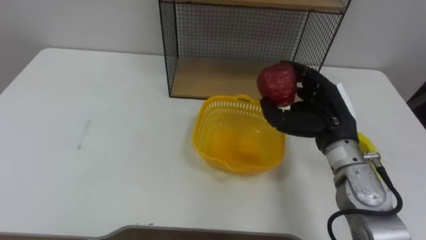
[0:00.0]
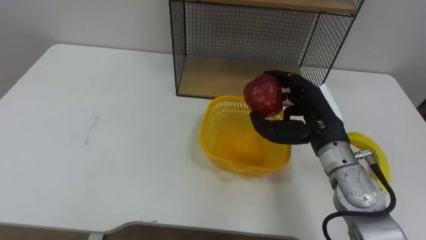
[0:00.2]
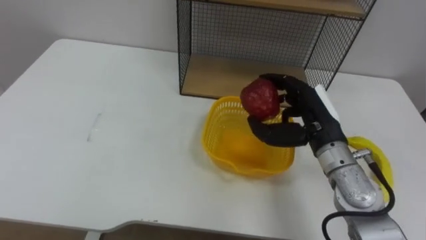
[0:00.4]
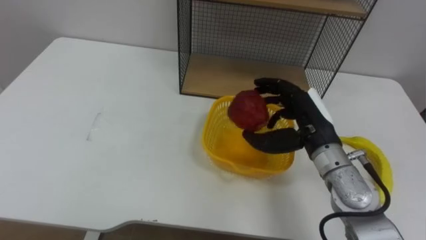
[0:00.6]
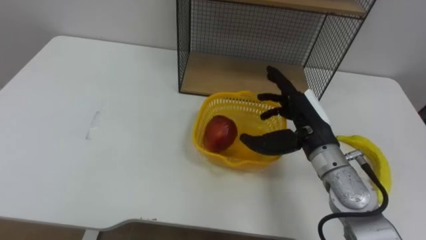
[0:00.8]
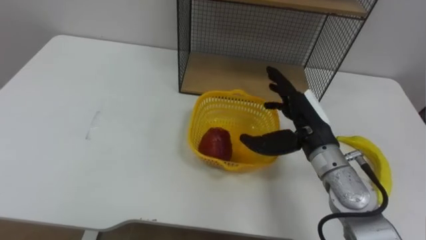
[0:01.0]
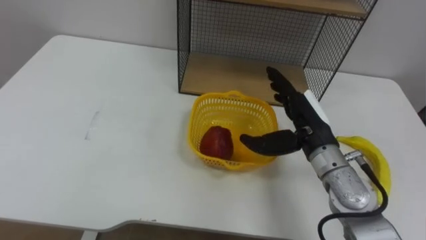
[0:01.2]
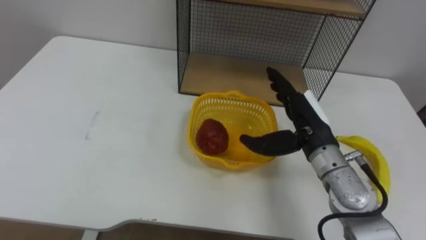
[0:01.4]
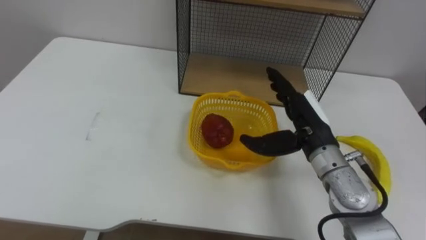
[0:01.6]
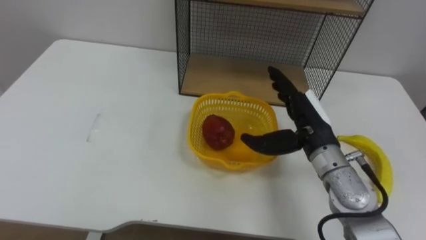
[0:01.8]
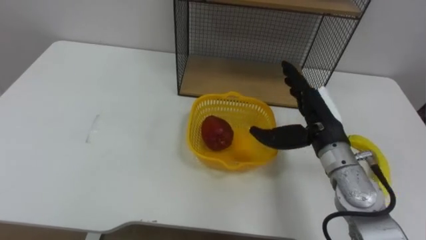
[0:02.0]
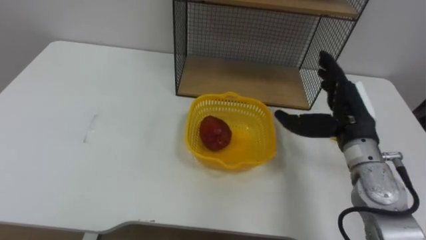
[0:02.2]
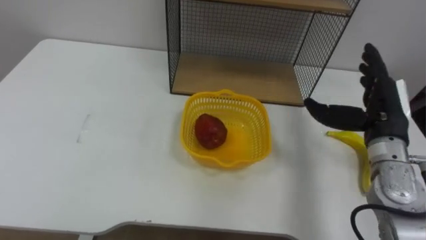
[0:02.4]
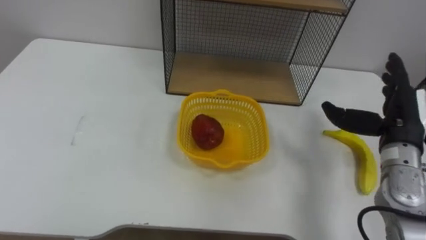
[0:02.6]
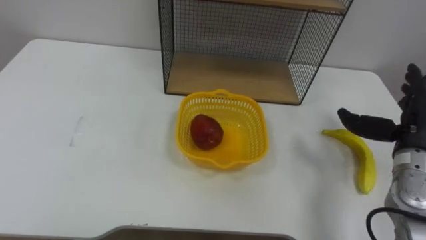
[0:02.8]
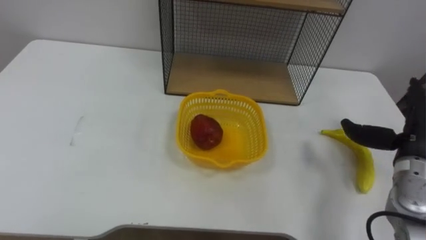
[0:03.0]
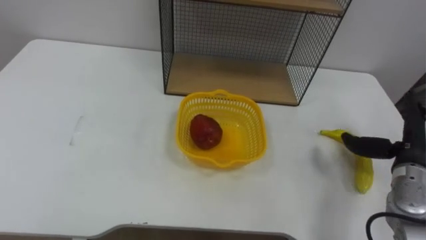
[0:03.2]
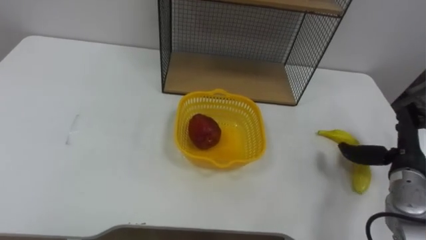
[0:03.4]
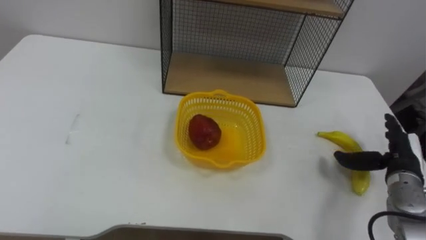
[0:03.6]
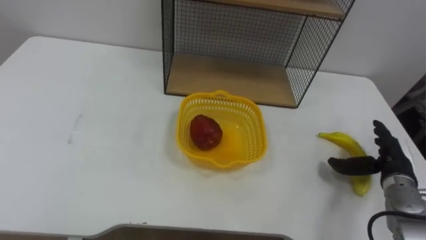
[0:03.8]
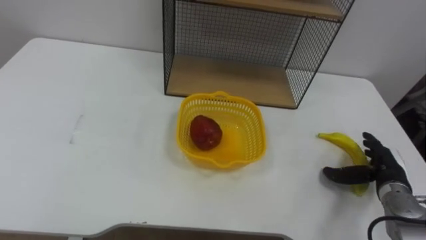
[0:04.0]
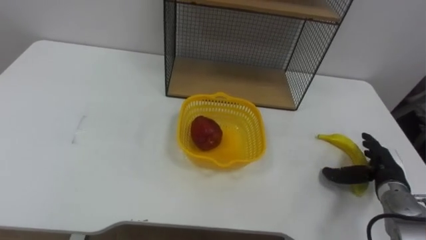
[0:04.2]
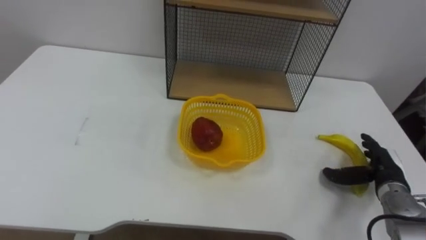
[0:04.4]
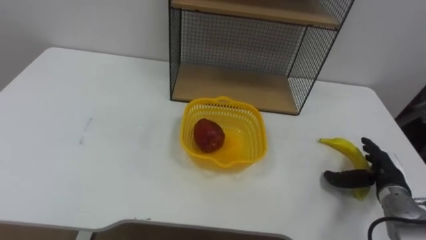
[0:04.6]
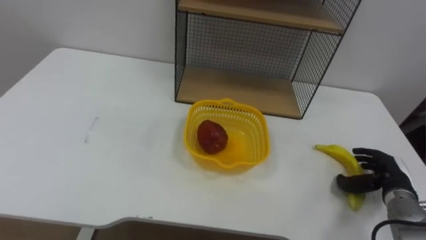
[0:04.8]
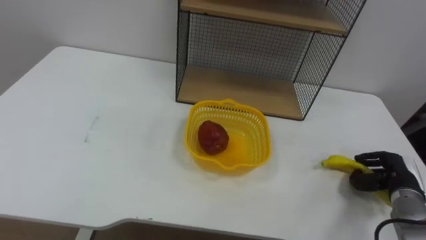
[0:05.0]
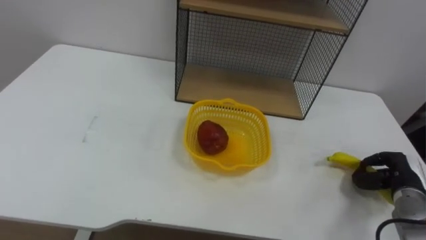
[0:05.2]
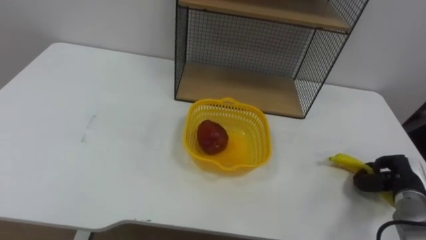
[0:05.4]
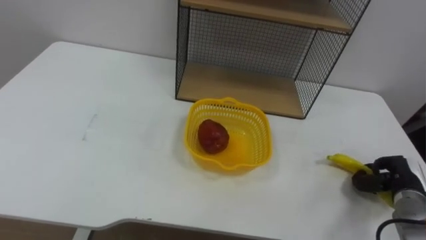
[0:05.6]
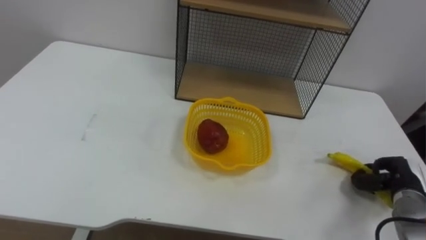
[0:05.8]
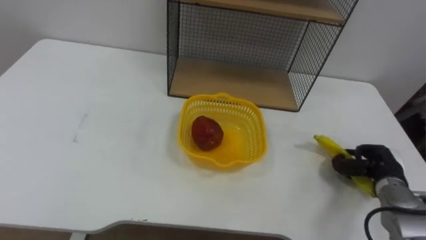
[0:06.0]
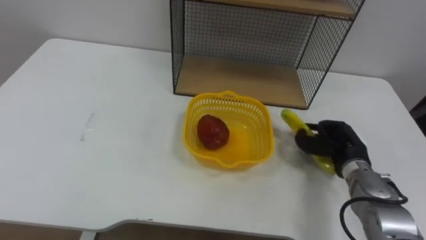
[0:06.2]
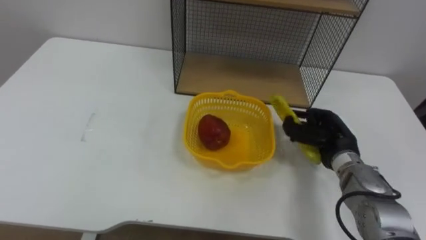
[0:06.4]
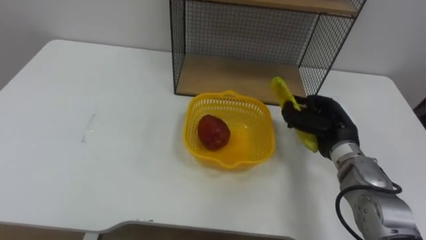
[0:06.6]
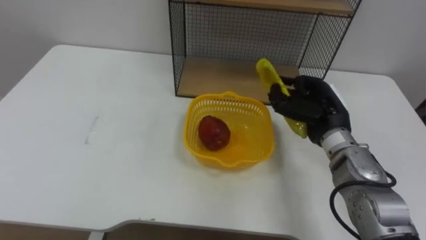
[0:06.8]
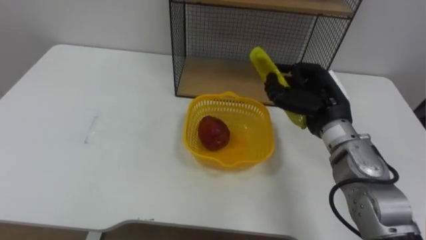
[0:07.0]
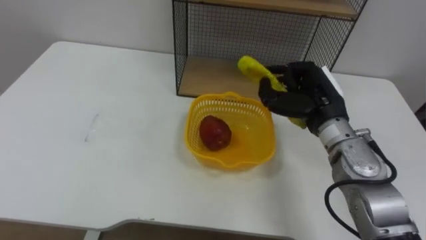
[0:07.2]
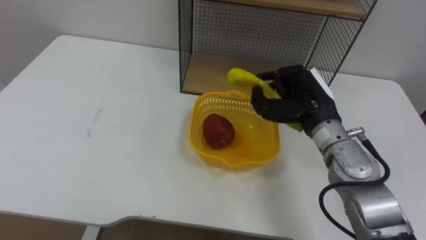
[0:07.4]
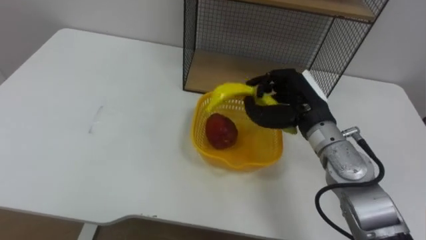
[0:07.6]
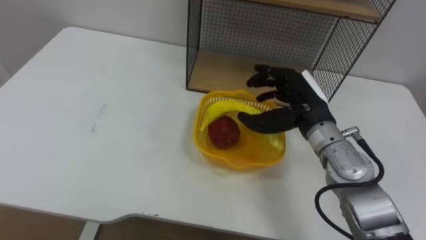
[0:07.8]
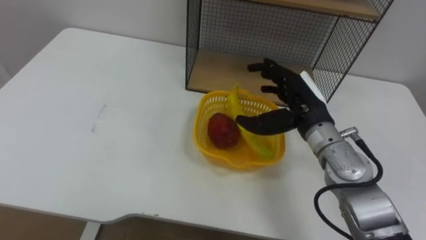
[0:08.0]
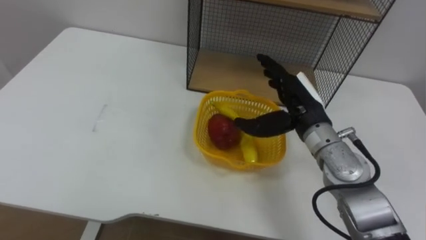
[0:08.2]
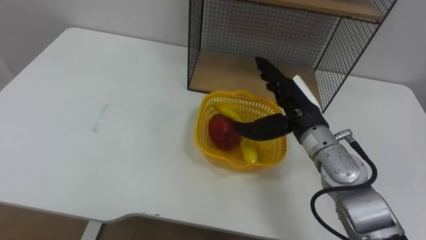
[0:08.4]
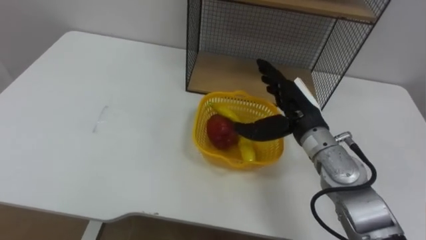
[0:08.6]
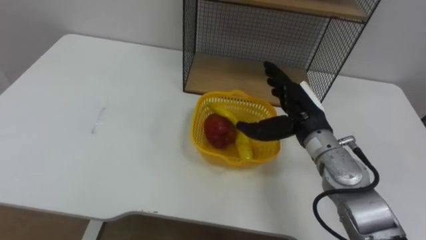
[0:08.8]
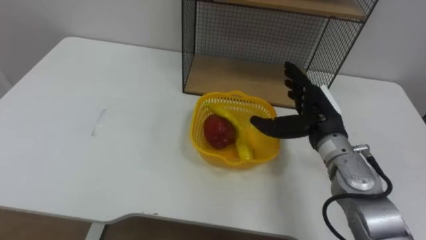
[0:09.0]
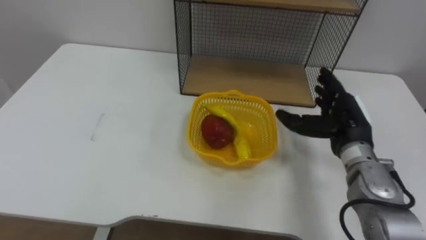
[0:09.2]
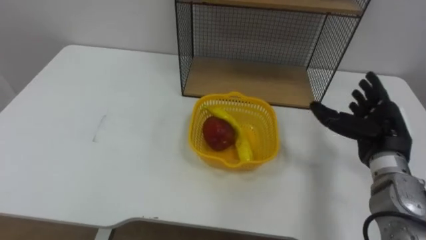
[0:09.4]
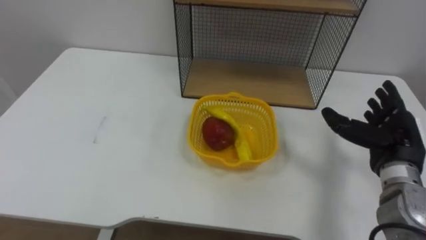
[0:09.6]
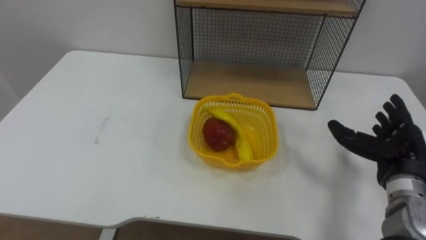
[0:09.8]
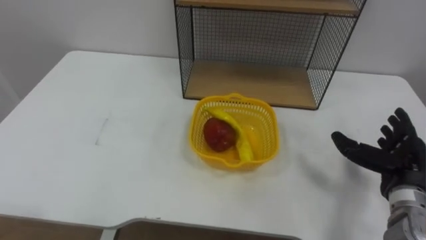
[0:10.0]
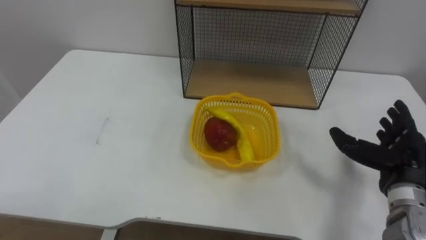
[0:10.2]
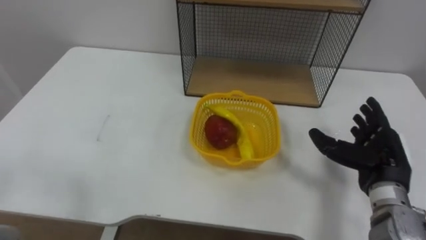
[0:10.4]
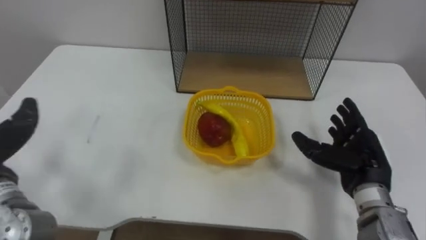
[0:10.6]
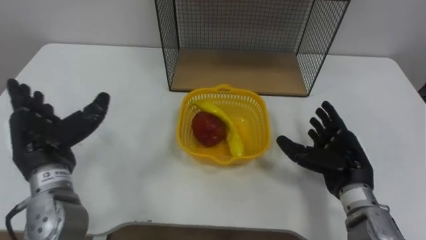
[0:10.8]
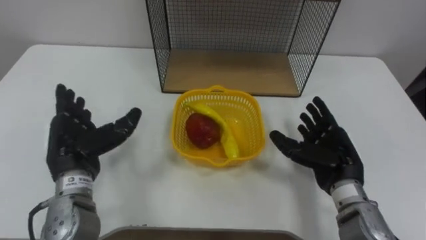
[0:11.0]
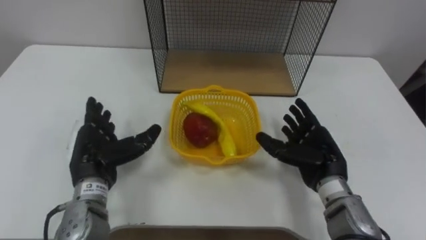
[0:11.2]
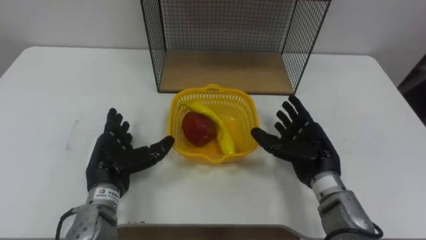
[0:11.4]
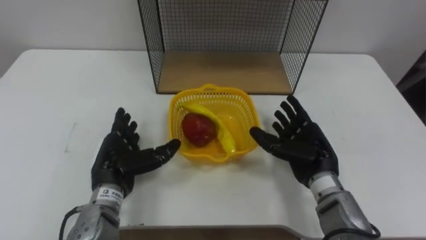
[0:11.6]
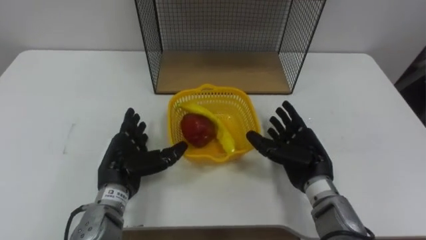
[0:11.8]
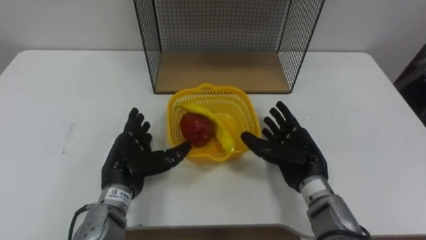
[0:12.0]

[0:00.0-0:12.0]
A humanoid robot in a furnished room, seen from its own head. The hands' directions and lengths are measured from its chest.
Task of the whole recording: Put the fruit on the table into the basket, then place the basket on the shelf.
0:00.0 to 0:01.6: The right hand opens its fingers.
0:01.6 to 0:03.0: The right hand shifts some 20 cm to the right.
0:03.0 to 0:04.4: The right hand shifts roughly 10 cm downward.
0:04.4 to 0:06.0: The right hand closes its fingers.
0:06.0 to 0:07.6: The right hand is displaced to the left and upward by about 25 cm.
0:07.6 to 0:09.0: The right hand opens its fingers.
0:09.0 to 0:10.4: The right hand shifts some 15 cm to the right and backward.
0:10.4 to 0:12.0: The right hand is displaced to the left by some 10 cm.

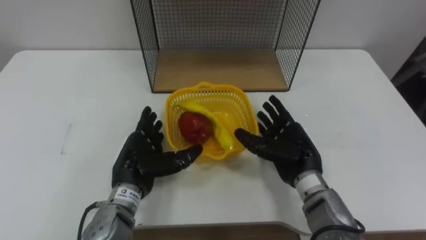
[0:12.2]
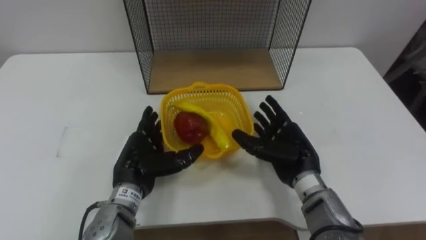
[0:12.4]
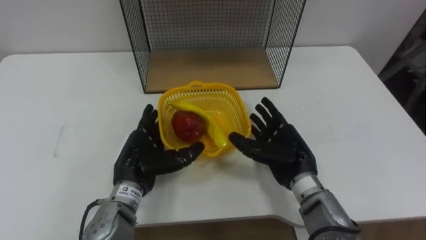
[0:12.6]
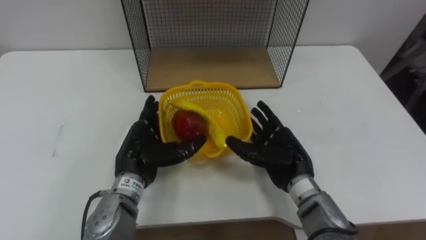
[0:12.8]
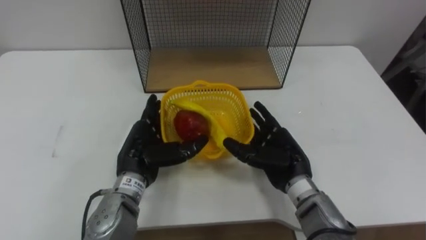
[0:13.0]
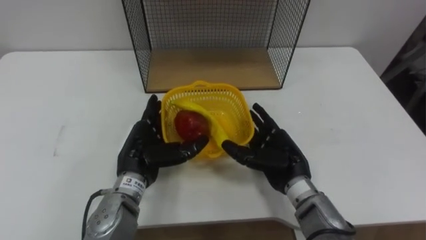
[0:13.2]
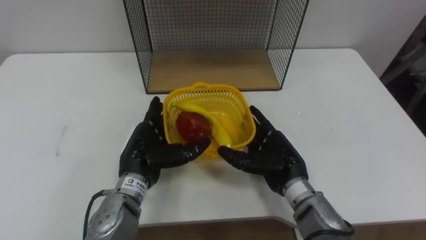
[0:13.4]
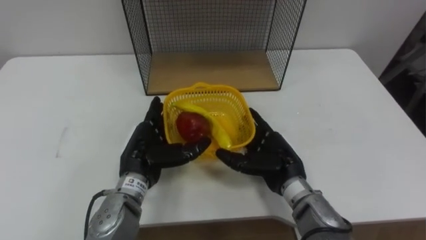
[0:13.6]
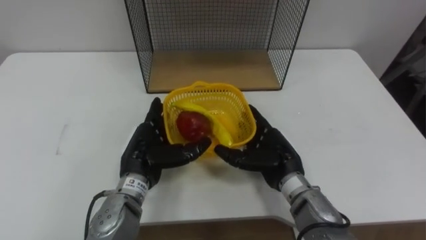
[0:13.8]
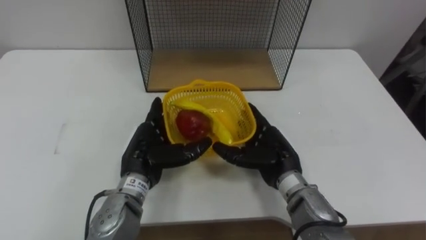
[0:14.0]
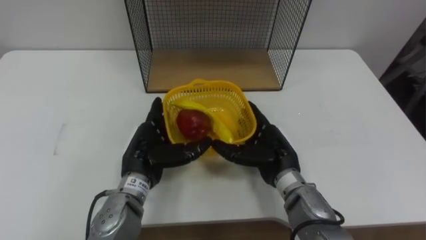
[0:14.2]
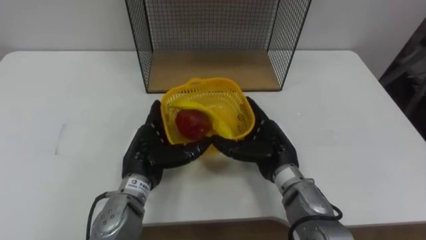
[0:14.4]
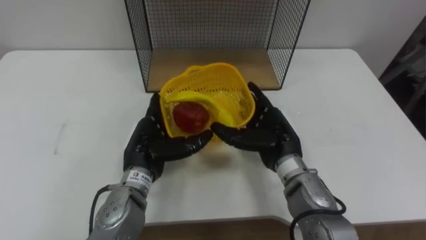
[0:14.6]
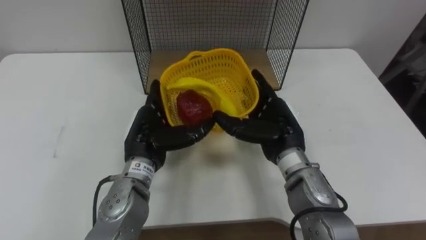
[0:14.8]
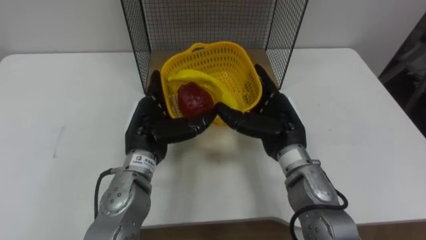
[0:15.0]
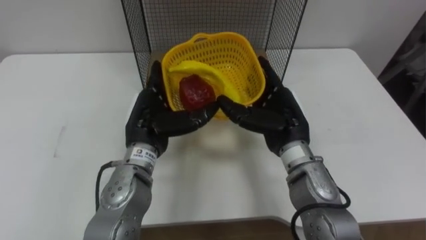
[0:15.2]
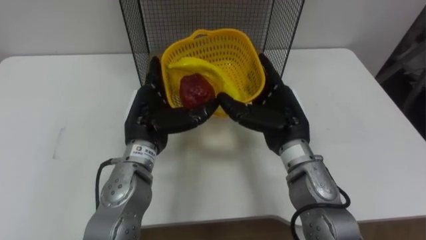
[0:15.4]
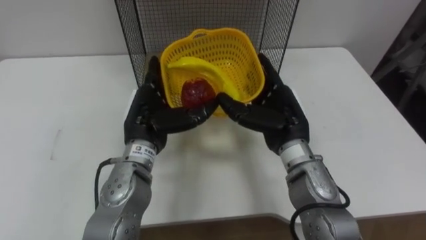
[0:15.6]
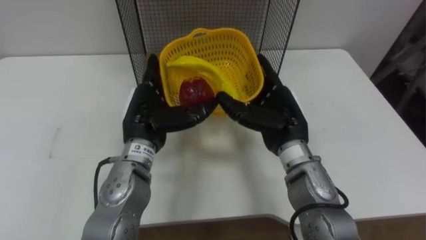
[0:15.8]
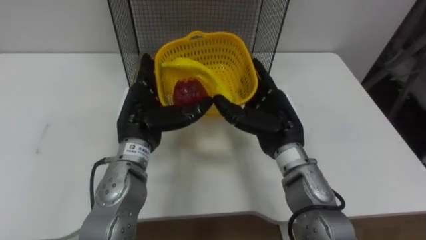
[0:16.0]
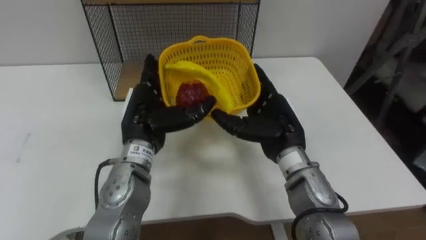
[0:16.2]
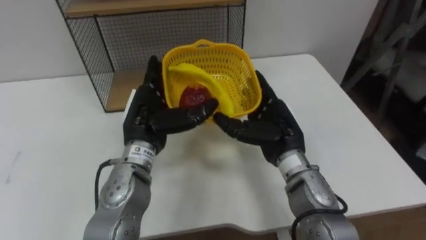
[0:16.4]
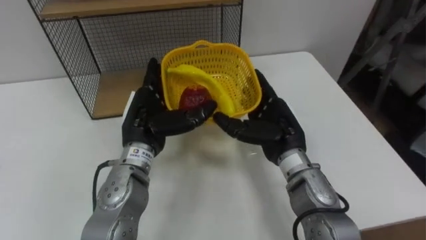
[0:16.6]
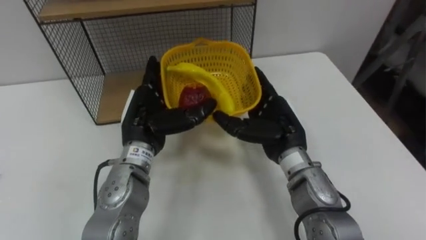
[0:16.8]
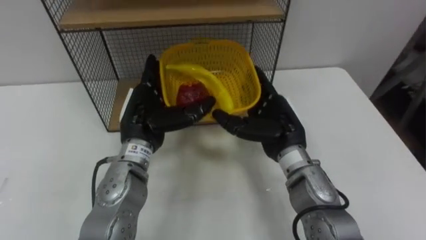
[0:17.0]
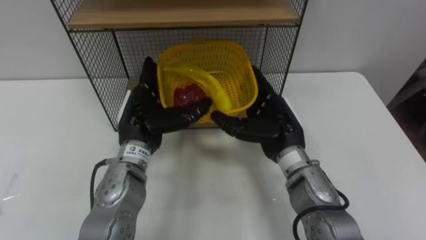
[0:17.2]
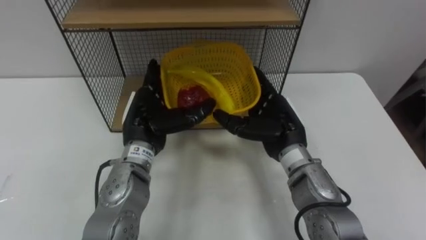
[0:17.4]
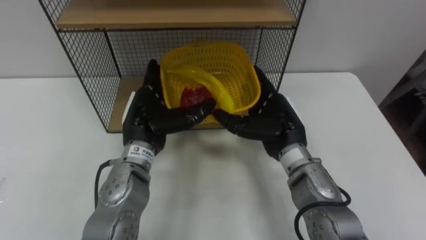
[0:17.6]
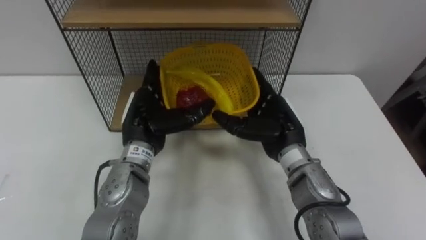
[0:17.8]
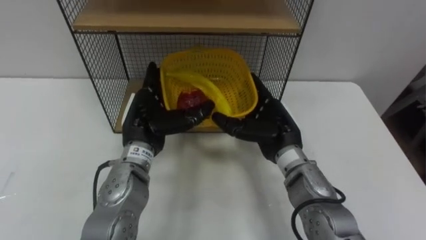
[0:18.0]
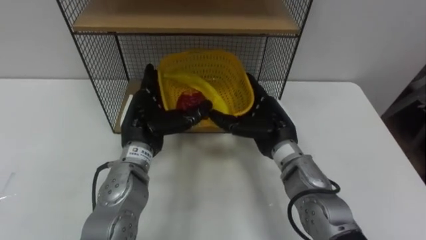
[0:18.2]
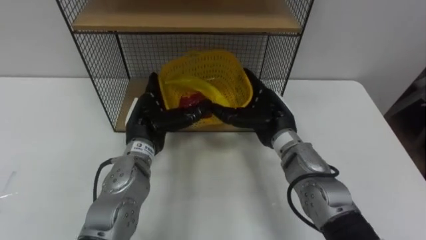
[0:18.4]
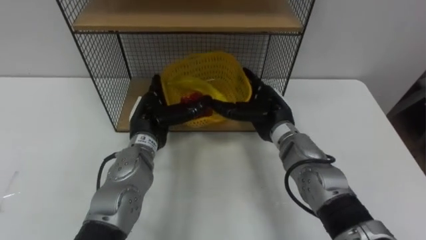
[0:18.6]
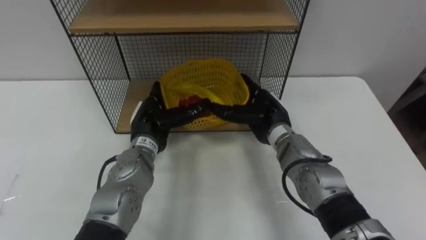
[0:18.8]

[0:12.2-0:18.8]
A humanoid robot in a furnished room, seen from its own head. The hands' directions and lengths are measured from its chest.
Task of the whole recording: Put the fruit on the table into the basket, then place the basket on the shelf.
0:13.8 to 0:15.4: The two hands go some 5 cm upward.
0:17.2 to 0:18.8: The right hand shifts roughly 5 cm forward; the left hand heads downward, covering approximately 5 cm.
